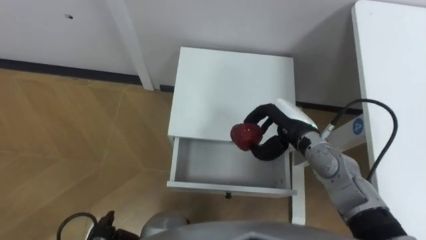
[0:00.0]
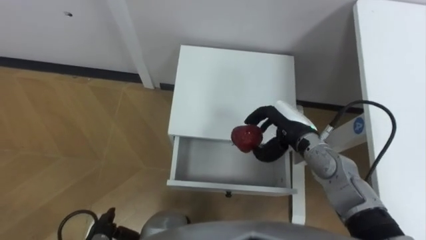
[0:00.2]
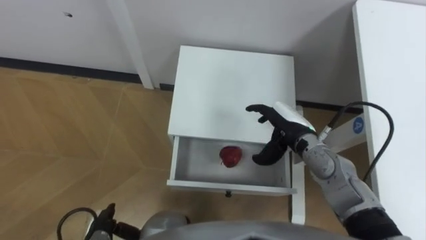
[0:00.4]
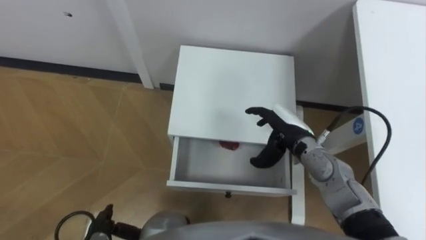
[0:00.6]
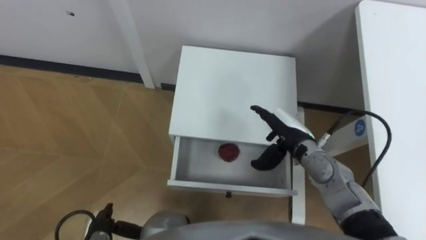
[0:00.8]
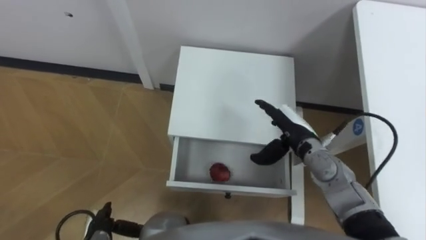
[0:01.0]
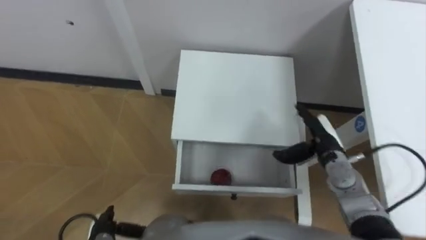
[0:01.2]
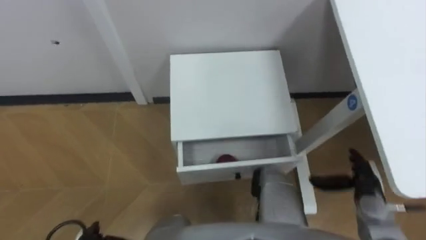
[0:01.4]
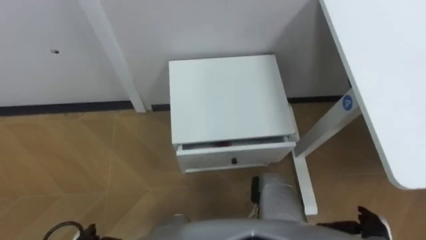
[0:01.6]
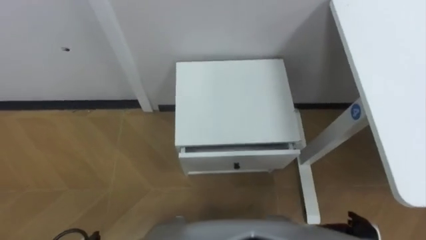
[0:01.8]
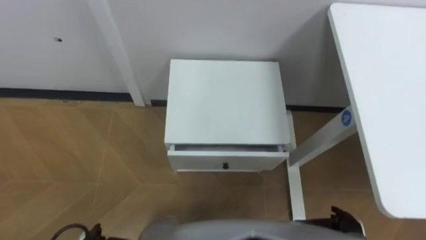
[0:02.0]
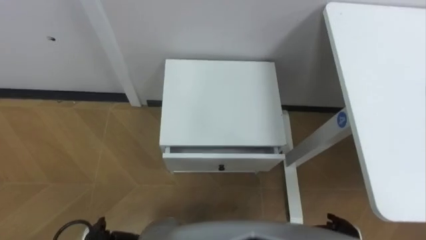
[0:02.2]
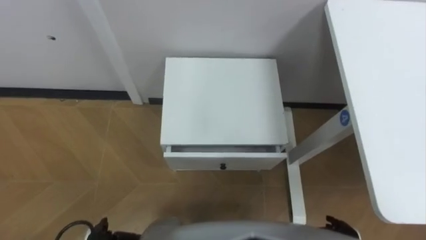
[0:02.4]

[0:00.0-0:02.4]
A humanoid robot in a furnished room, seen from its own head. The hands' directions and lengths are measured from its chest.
Task of the whole recording: Pick up the apple from the table, put it in the drawer, and close the drawer with leg.
0.0 to 1.2 s: The right hand heads to the right, covering some 5 cm, and opens up.
1.2 to 2.4 s: The right hand is displaced backward and downward by about 25 cm.

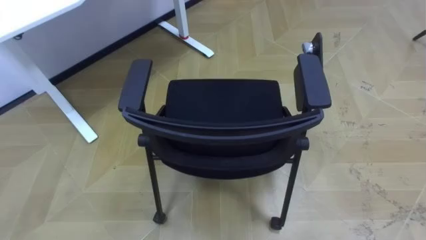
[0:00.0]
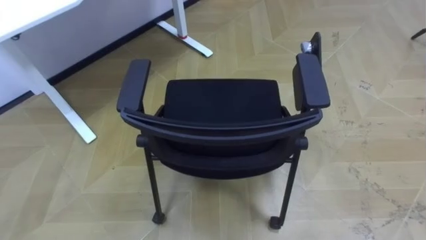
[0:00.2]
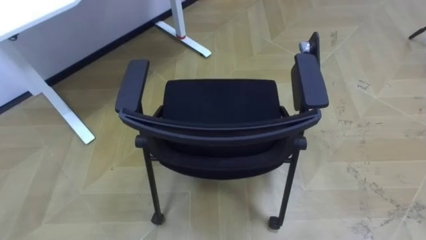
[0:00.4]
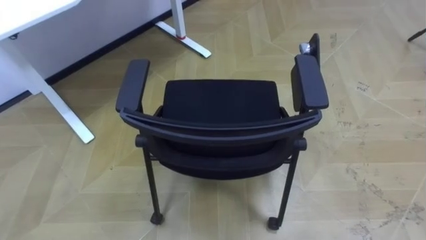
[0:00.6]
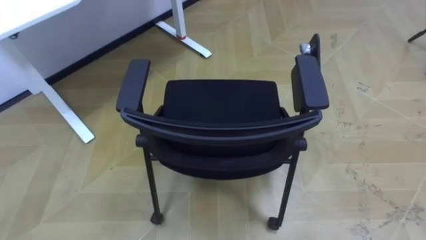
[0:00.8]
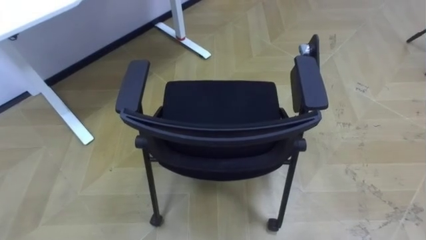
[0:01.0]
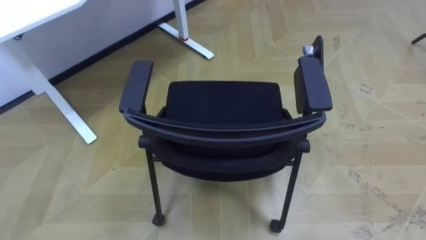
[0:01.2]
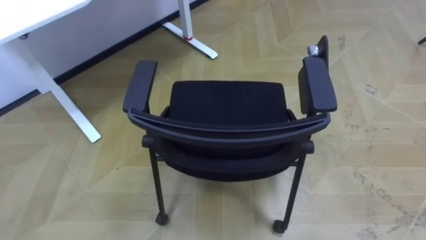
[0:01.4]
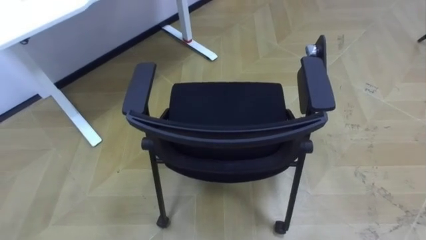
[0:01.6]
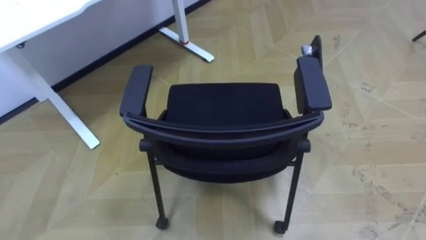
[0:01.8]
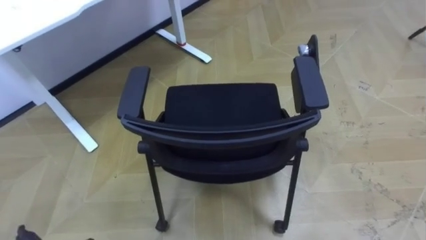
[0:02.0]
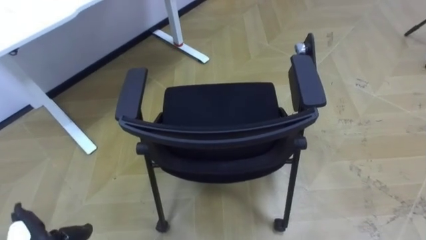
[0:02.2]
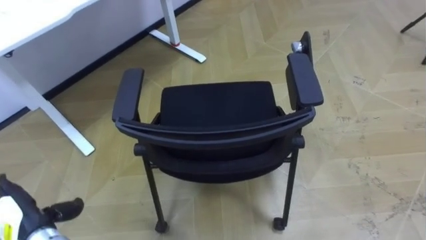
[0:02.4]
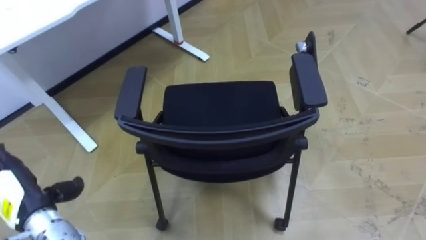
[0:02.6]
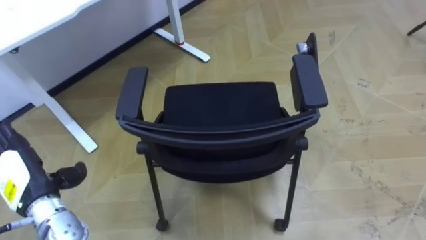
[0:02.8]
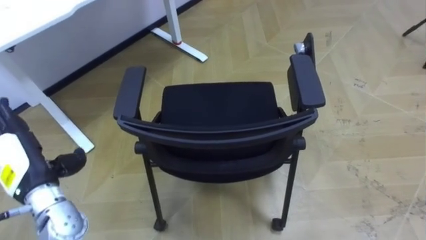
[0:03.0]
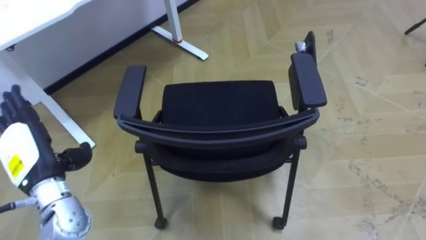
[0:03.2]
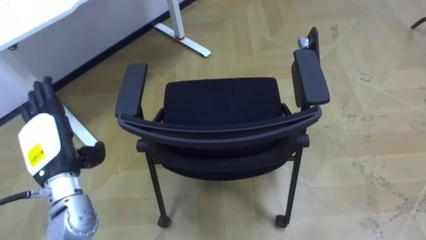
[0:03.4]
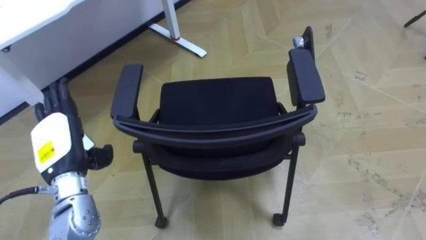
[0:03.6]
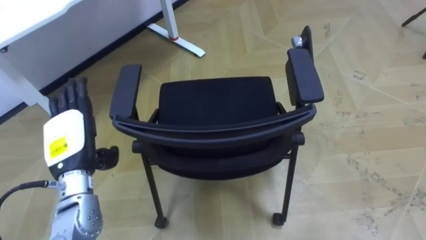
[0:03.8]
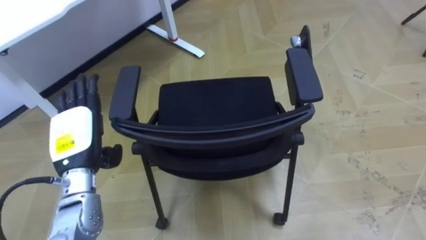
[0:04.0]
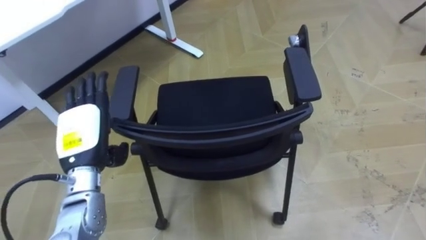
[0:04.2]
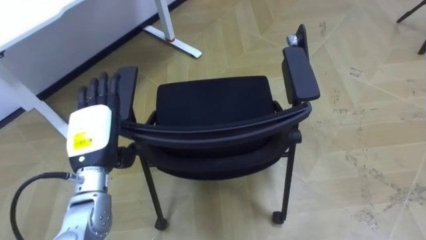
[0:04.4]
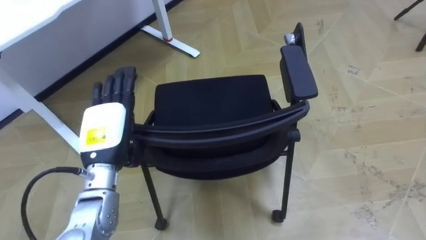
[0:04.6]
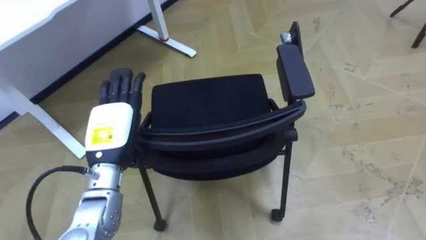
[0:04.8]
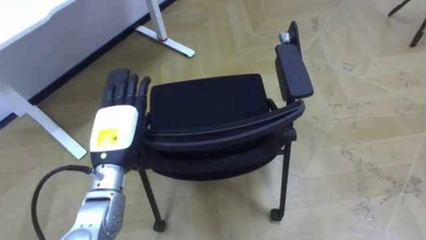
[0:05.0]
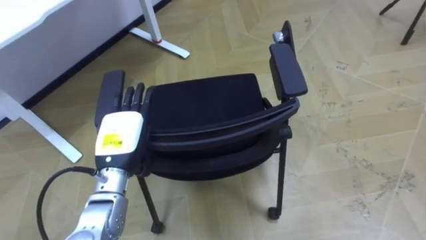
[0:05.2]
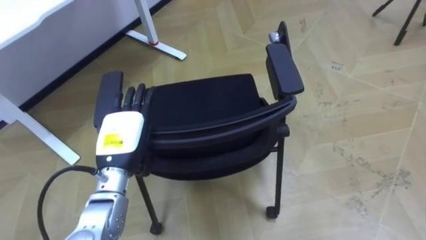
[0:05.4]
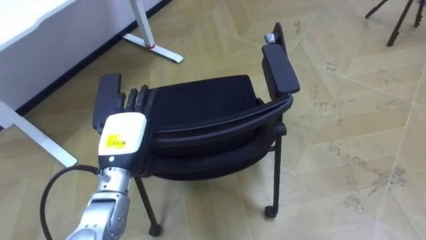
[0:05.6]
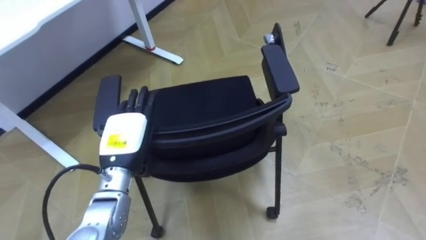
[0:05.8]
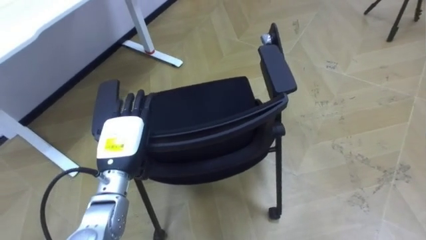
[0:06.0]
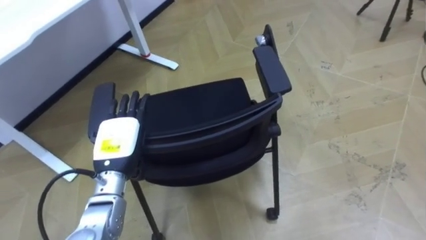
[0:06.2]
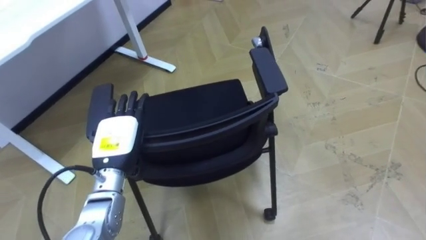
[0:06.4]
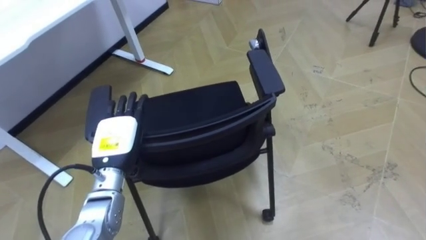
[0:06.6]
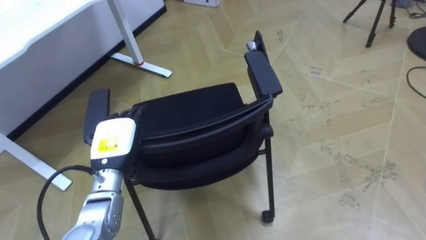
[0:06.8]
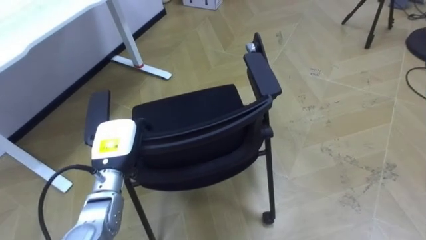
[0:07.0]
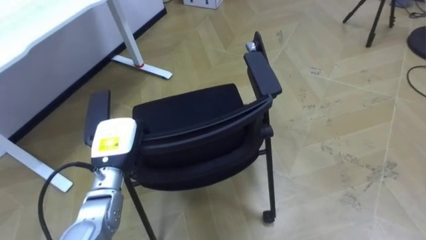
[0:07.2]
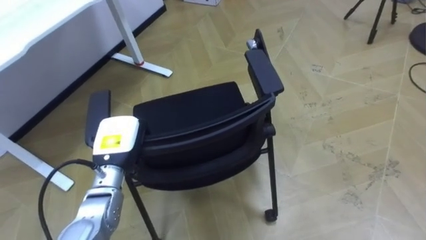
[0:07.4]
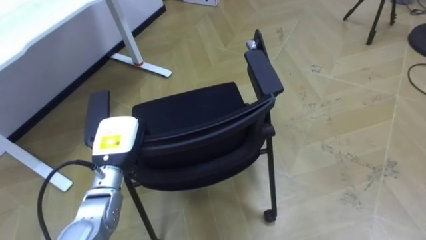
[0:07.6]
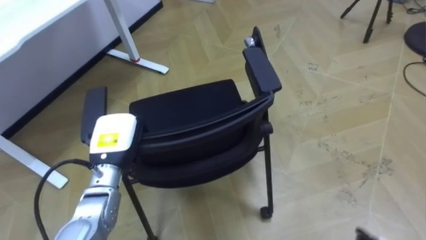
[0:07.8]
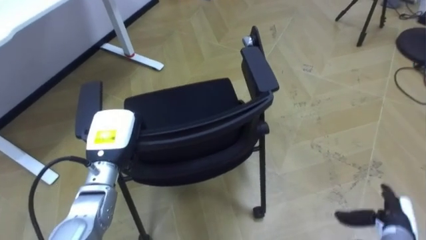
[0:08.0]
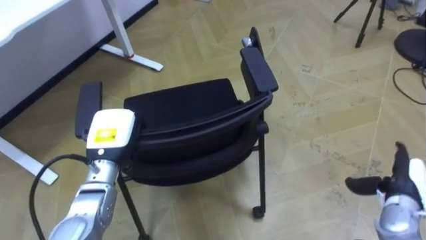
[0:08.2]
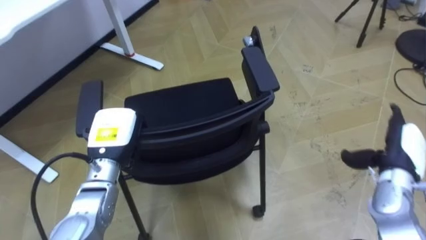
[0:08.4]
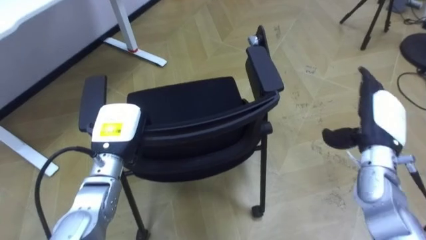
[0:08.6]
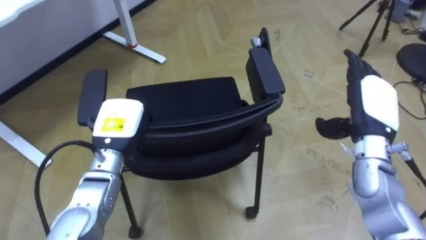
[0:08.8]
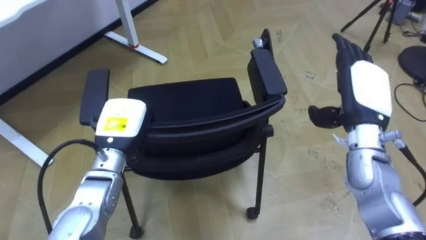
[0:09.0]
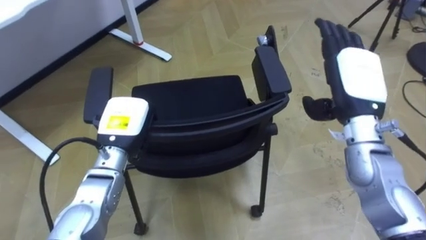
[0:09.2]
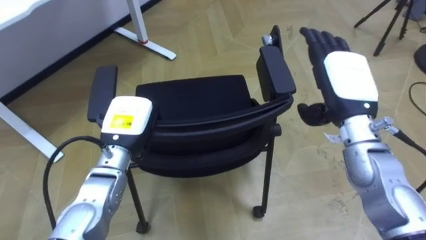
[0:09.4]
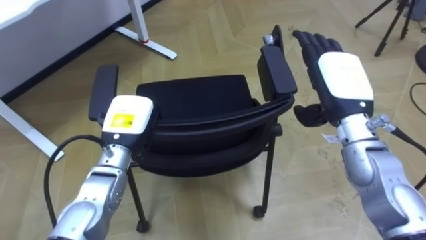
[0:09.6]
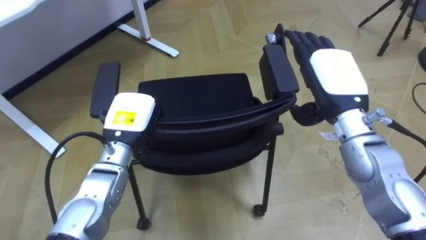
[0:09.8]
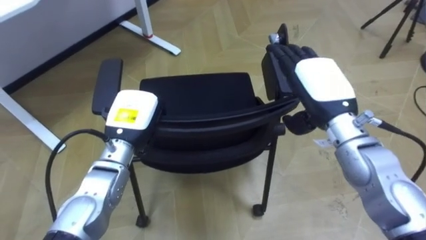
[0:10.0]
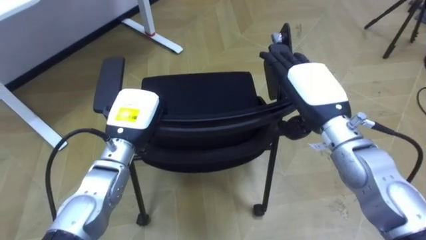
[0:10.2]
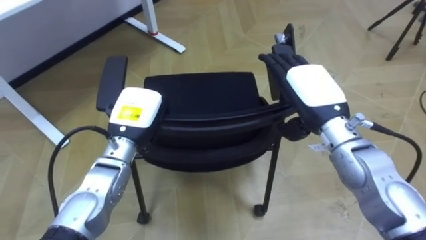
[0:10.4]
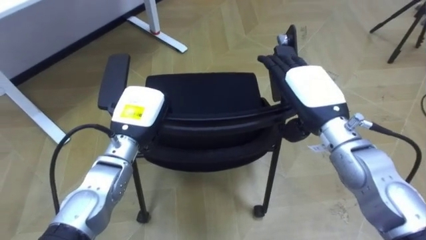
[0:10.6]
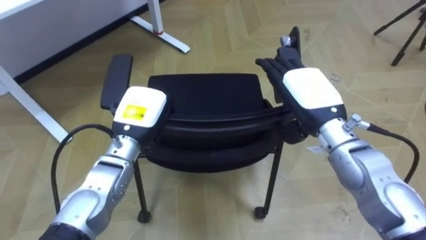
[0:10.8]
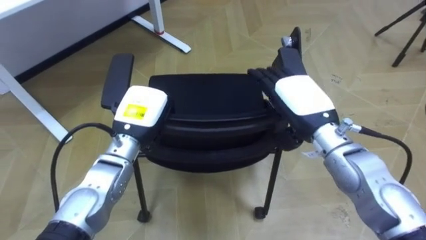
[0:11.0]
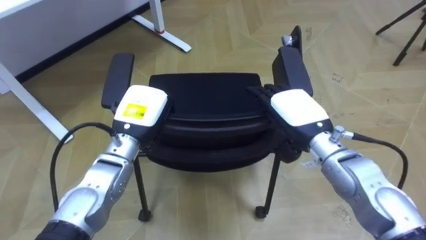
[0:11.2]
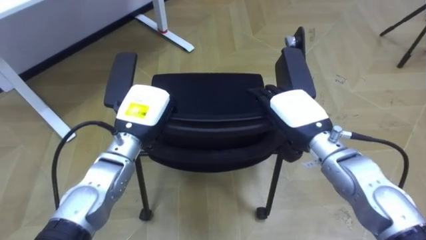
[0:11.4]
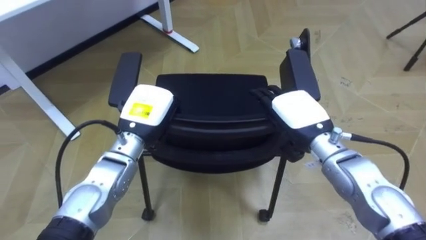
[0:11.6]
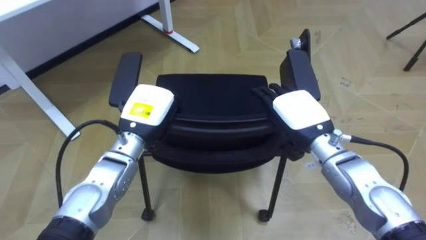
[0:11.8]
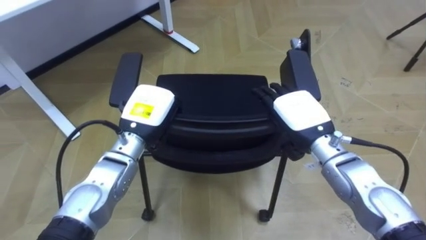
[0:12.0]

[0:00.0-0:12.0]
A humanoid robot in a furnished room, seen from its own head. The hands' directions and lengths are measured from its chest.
Task of the whole recording: Push the chair under the table.
3.0 to 4.4 s: The left hand shifts approximately 10 cm to the right.
4.4 to 6.0 s: The left hand moves some 5 cm.
6.0 to 7.6 s: The left hand closes its fingers.
9.0 to 10.4 s: The right hand heads to the left, covering roughly 10 cm.
10.4 to 12.0 s: The right hand travels downward by roughly 5 cm.

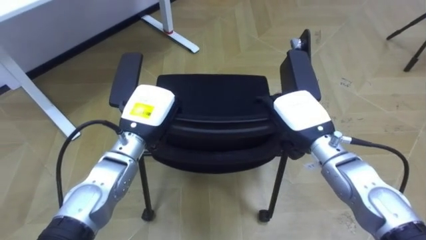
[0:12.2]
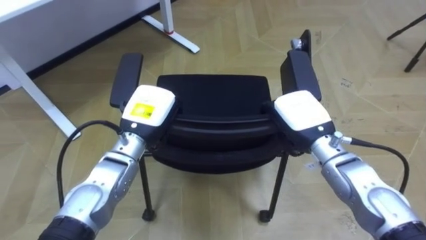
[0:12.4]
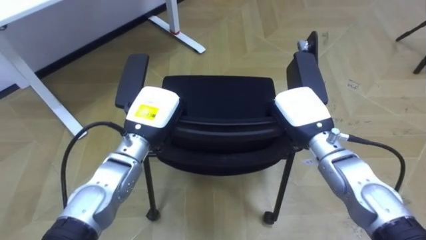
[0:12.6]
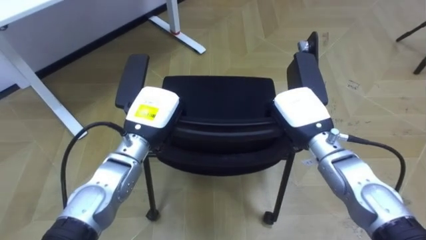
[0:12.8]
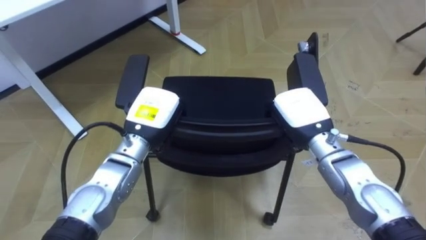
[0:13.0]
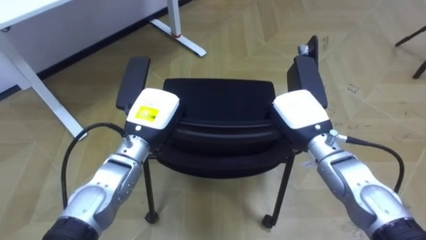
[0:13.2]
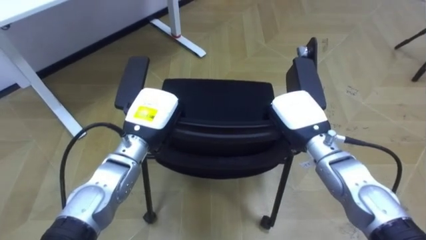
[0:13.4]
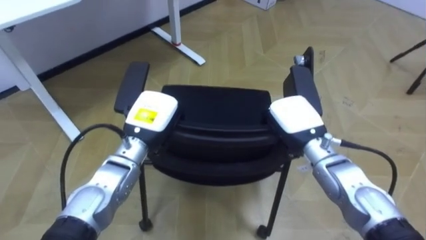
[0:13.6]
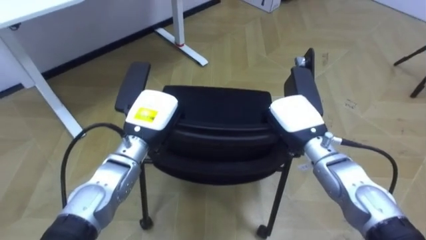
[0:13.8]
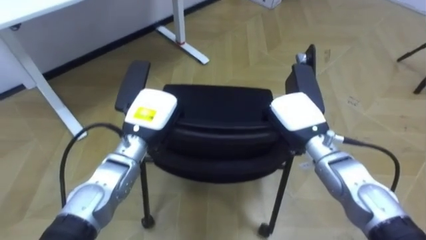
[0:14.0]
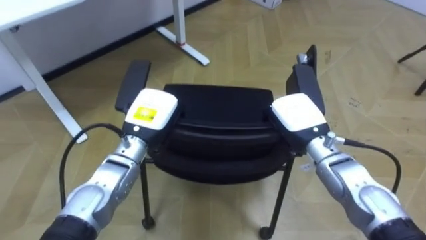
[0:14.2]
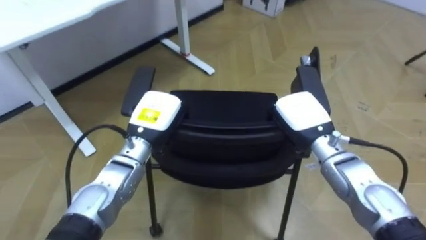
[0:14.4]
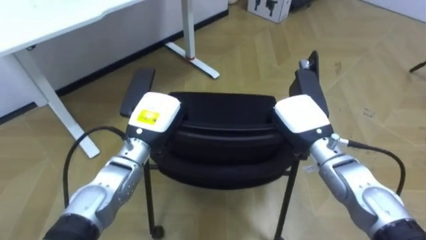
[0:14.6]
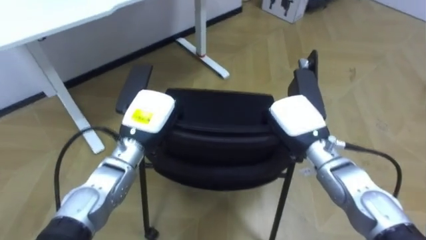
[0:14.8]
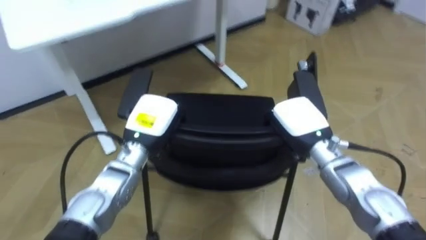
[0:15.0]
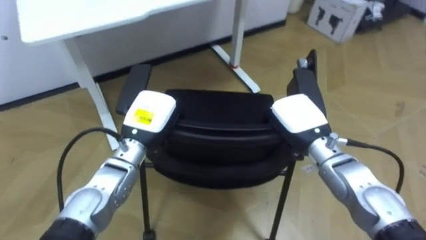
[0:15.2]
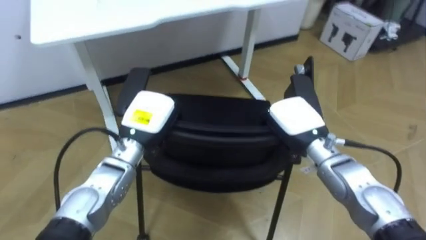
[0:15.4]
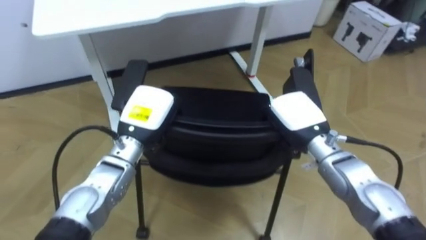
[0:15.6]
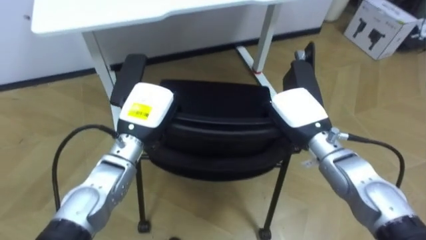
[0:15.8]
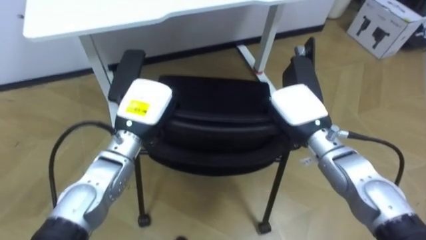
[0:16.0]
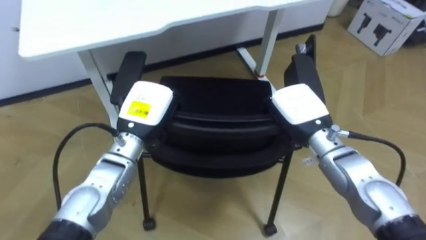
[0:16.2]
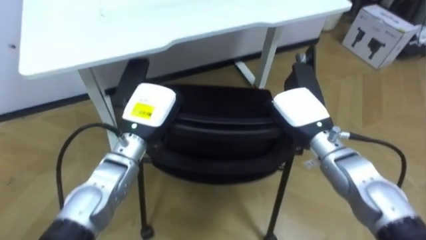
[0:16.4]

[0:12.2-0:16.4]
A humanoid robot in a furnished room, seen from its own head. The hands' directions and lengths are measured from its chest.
Task of the whole recording: Push the chair under the table.
12.2 to 13.6 s: The right hand closes.
